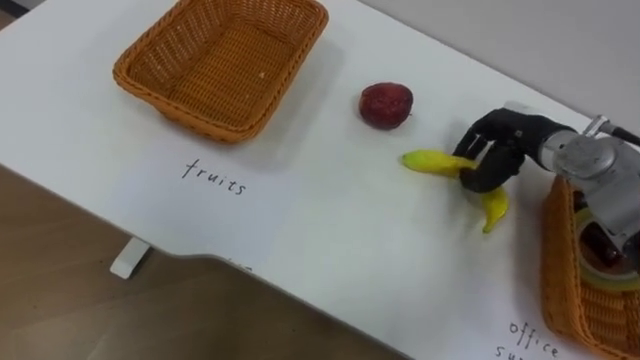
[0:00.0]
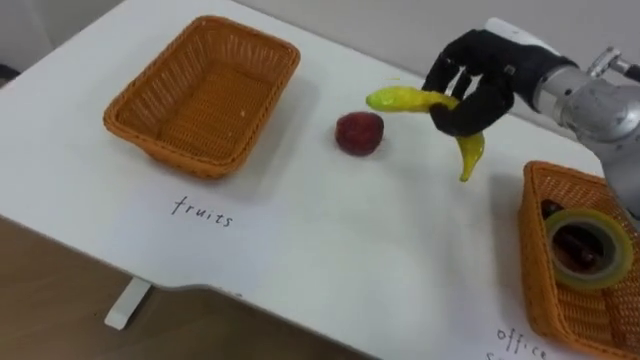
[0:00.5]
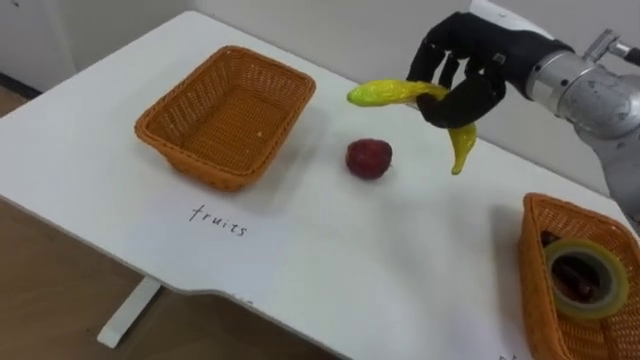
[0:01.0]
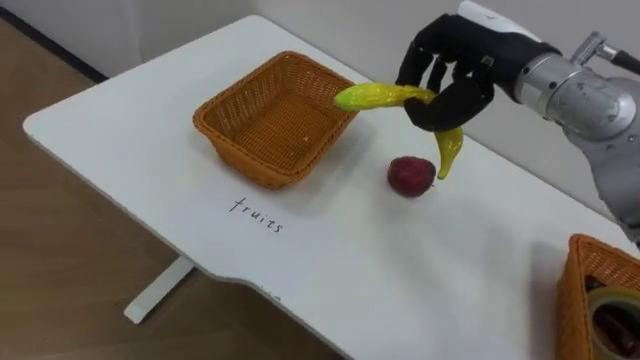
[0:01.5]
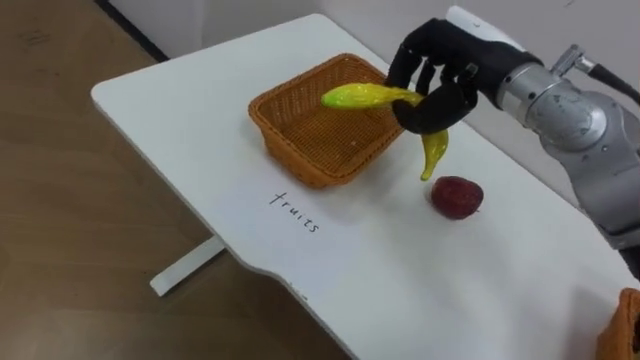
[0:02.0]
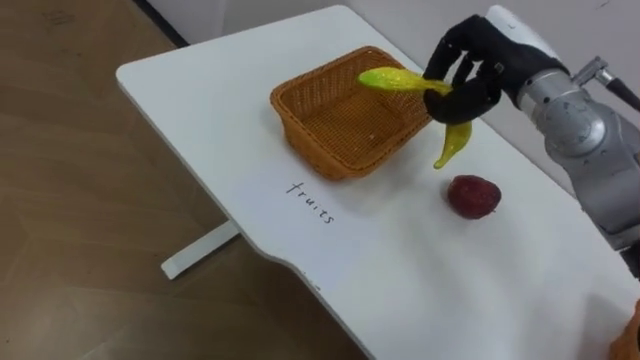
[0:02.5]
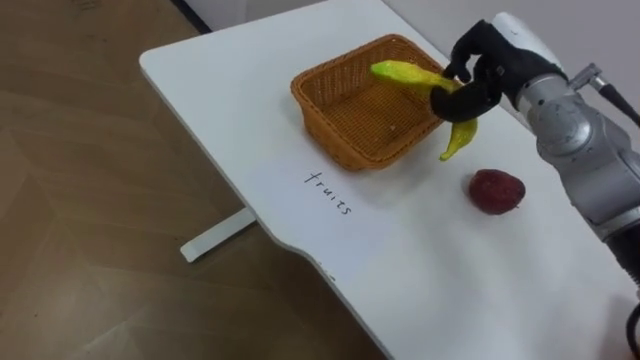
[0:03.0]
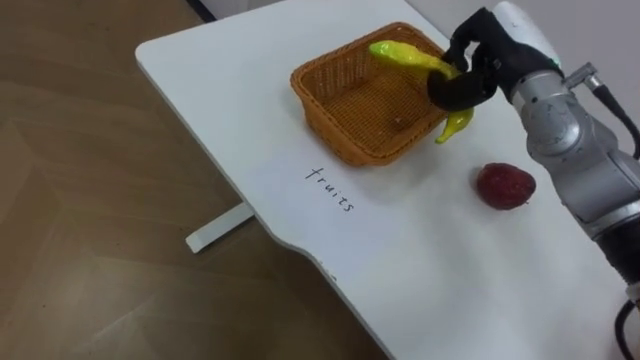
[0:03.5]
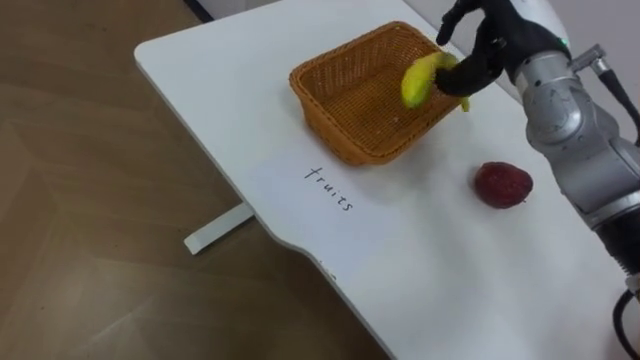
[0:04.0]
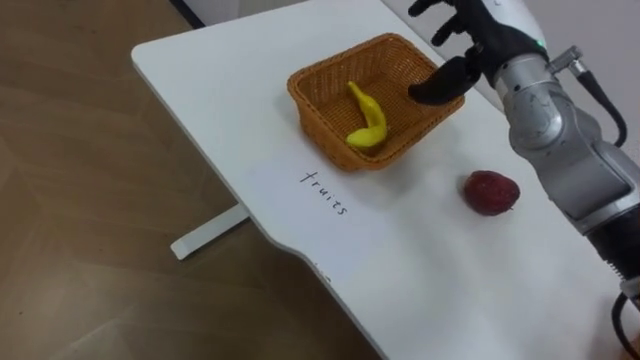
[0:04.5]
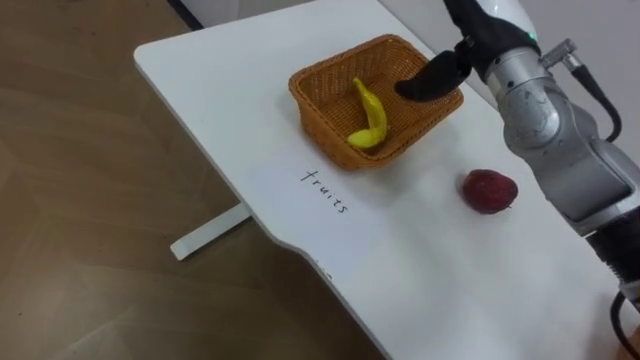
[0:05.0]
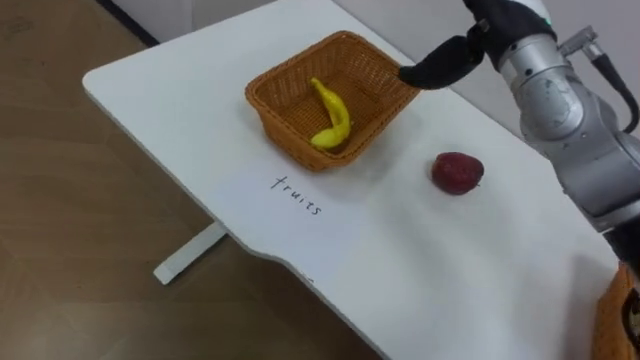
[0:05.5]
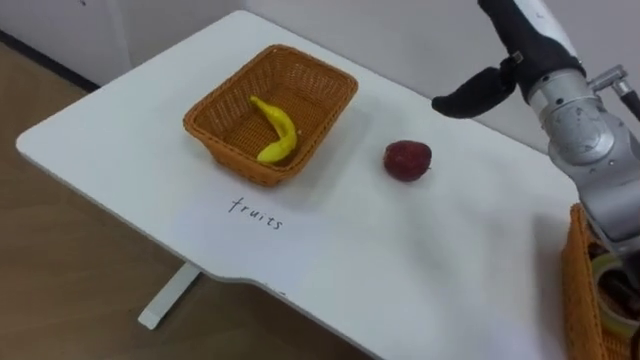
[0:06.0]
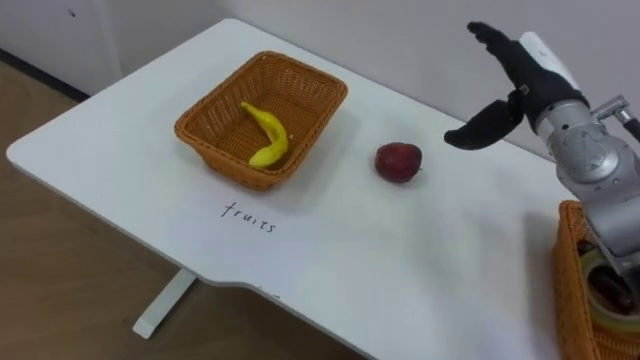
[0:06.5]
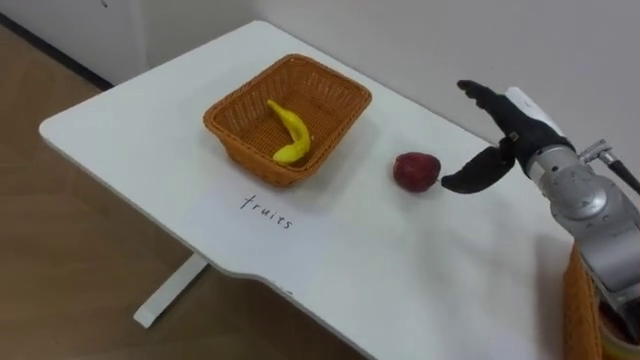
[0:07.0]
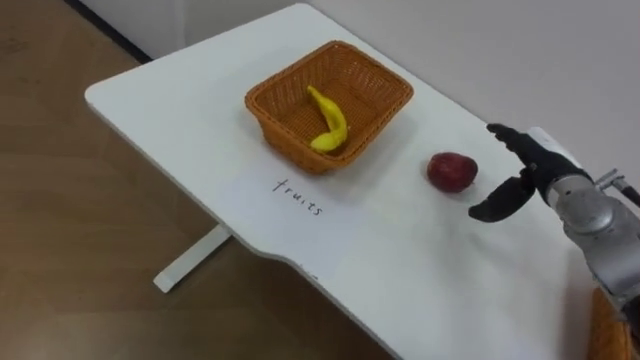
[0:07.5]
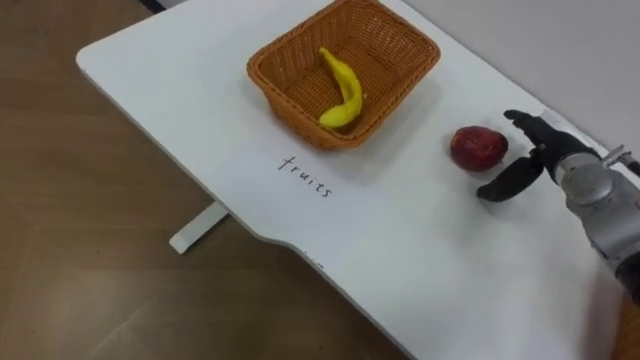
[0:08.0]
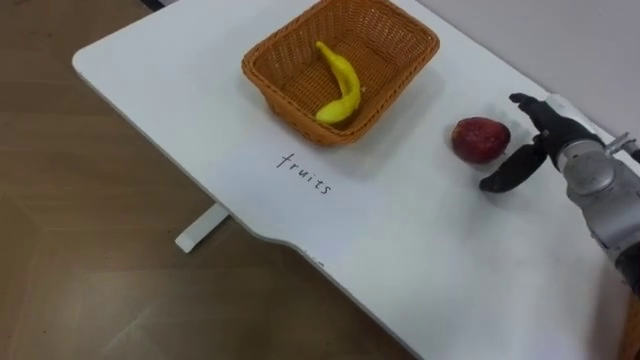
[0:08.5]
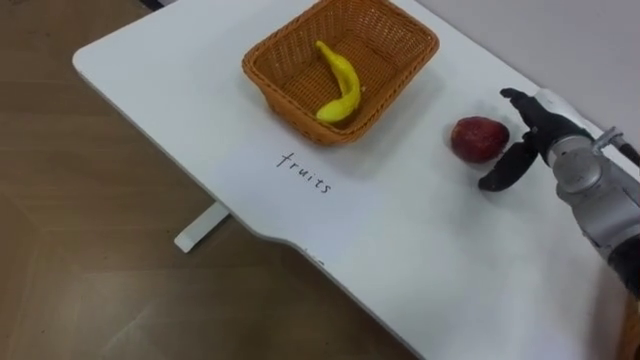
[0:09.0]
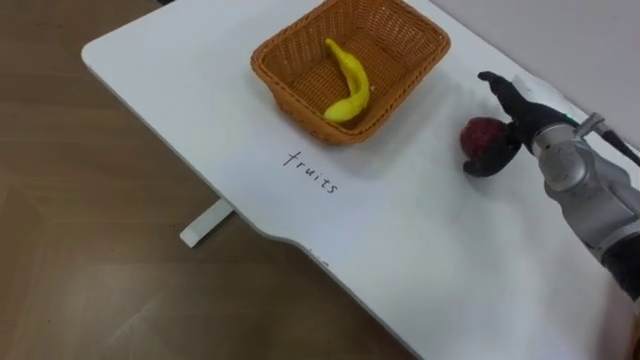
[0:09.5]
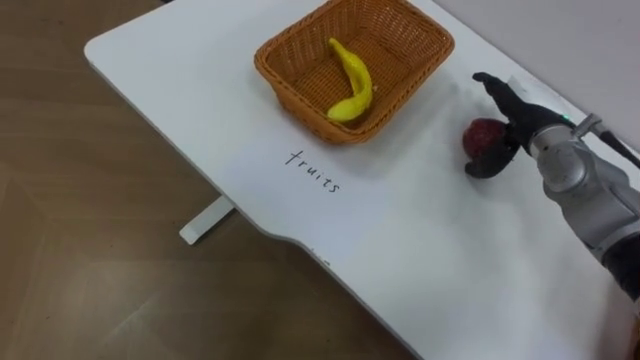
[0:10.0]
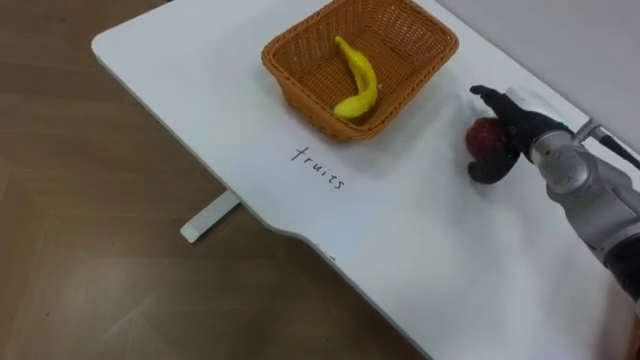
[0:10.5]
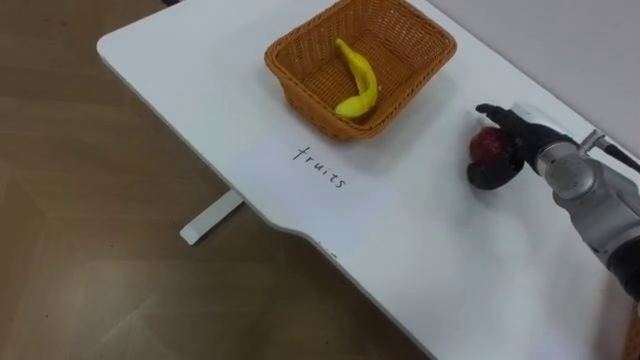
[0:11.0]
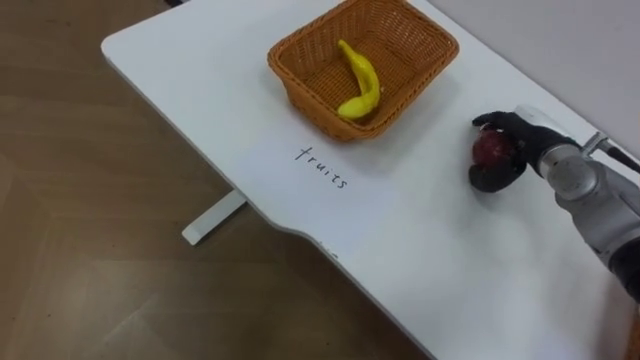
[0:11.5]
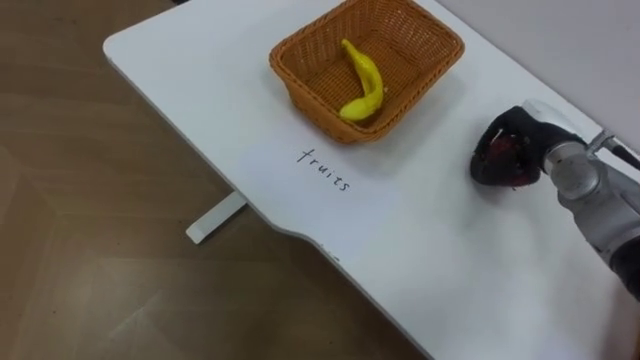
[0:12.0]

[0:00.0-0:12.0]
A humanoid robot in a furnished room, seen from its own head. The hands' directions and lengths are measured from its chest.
Task of the whole recording: Separate the items on the table and place them into the two baskets.
0:00.0 to 0:02.0: The right hand moves upward and to the left, about 15 cm.
0:02.0 to 0:04.0: The right hand changes place by some 5 cm.
0:04.0 to 0:06.0: The right hand opens up.
0:06.0 to 0:08.0: The right hand goes roughly 15 cm downward and to the right.
0:08.0 to 0:10.0: The right hand shifts by roughly 5 cm.
0:10.0 to 0:12.0: The right hand closes.

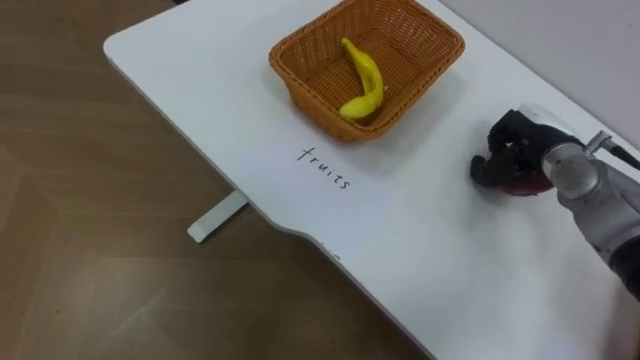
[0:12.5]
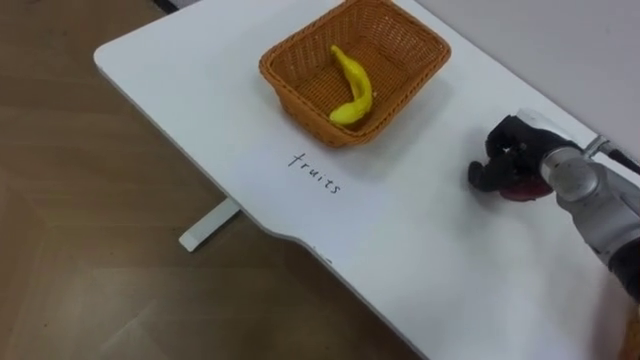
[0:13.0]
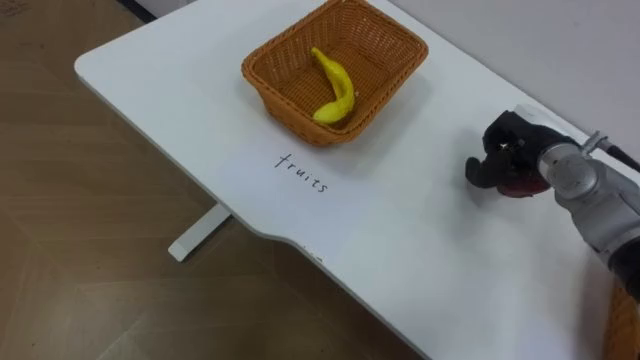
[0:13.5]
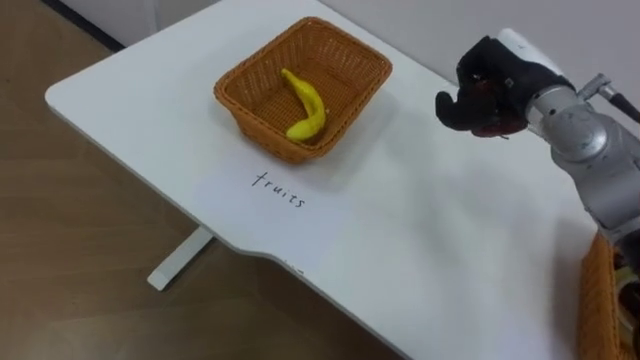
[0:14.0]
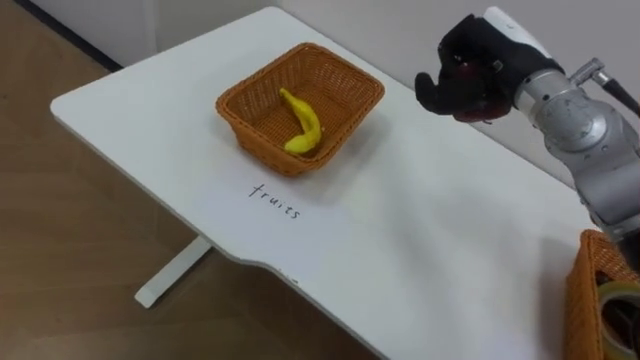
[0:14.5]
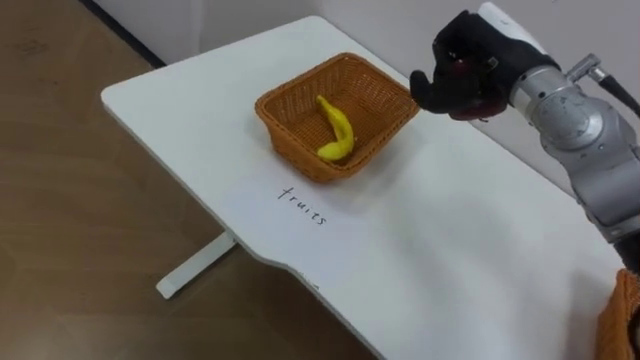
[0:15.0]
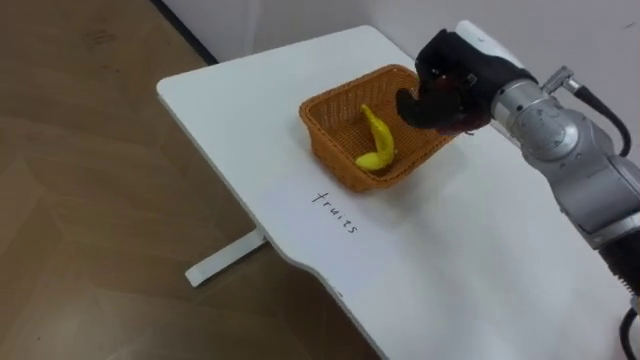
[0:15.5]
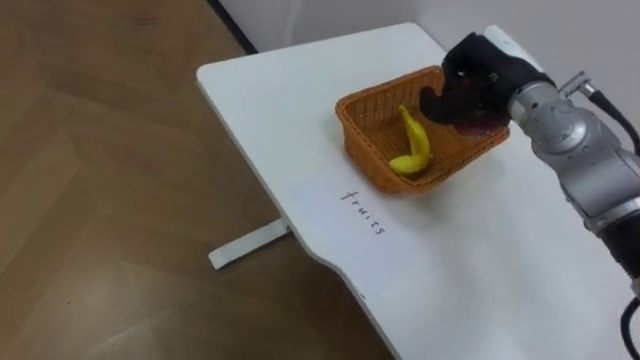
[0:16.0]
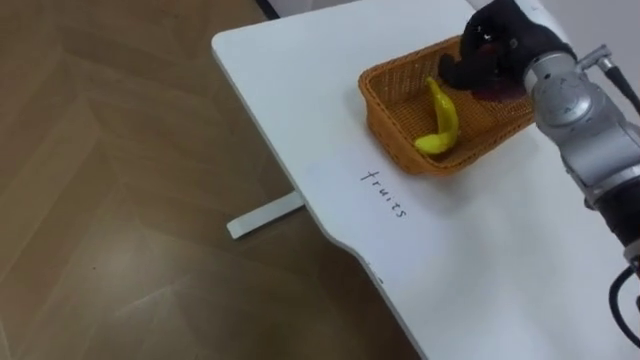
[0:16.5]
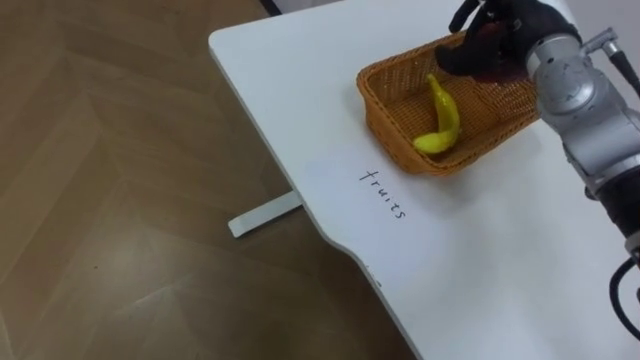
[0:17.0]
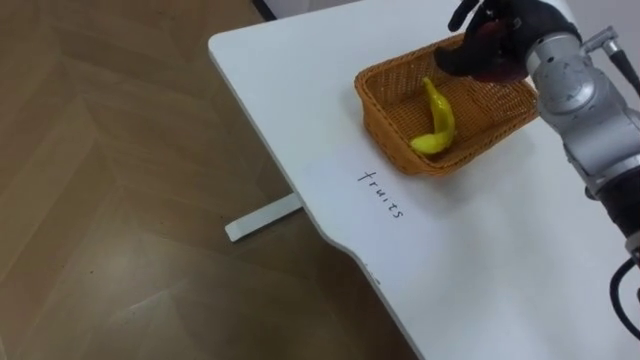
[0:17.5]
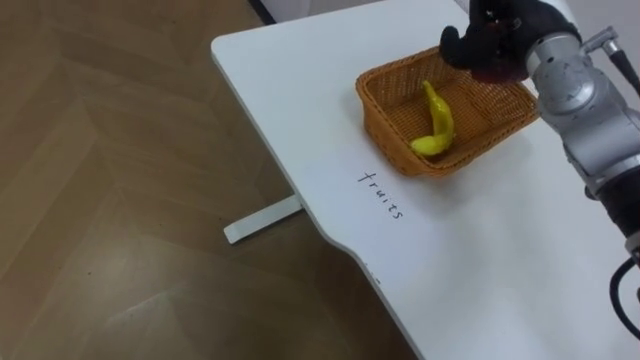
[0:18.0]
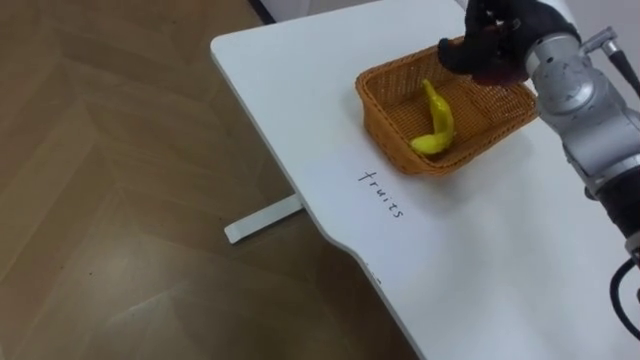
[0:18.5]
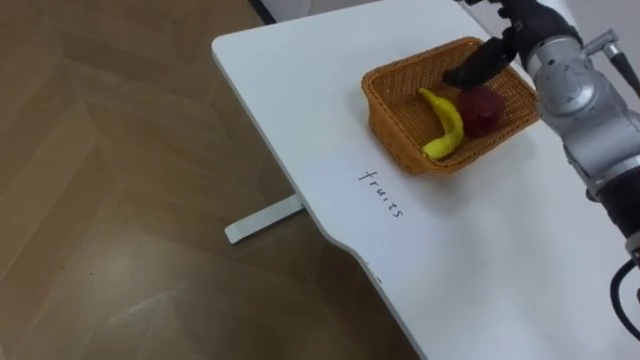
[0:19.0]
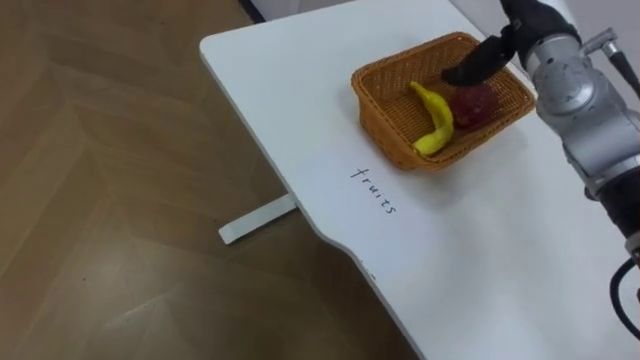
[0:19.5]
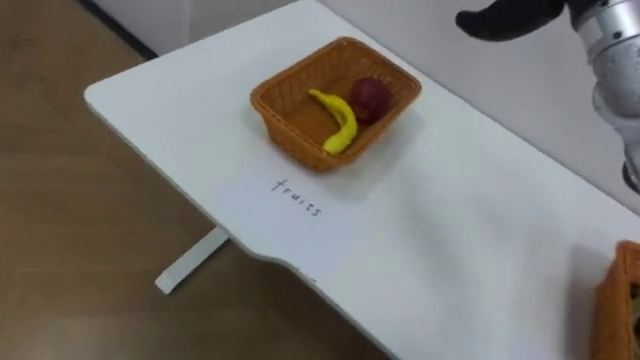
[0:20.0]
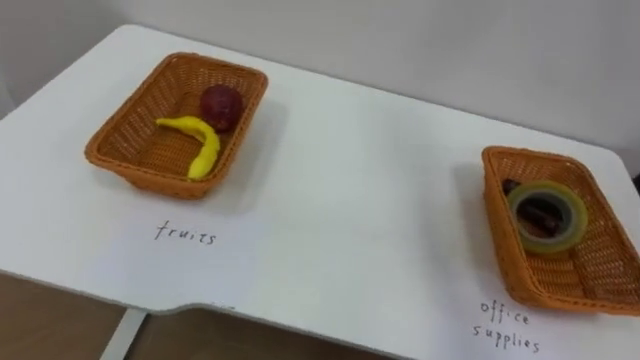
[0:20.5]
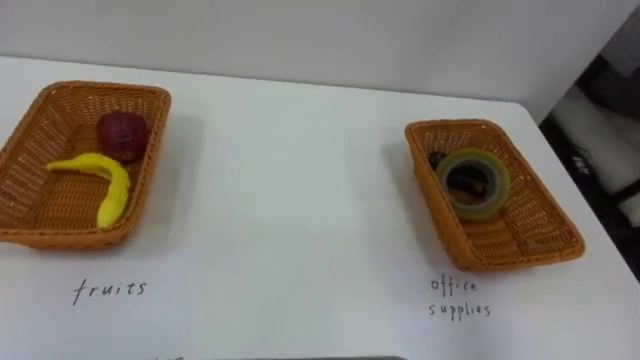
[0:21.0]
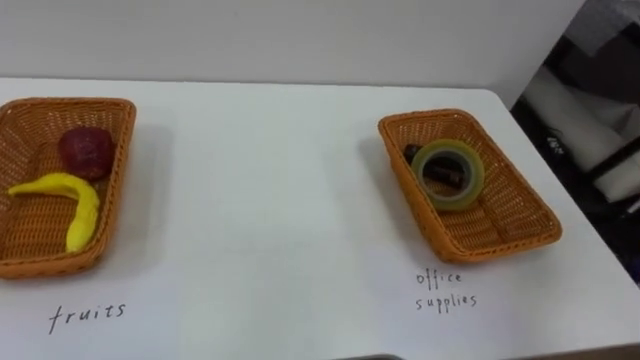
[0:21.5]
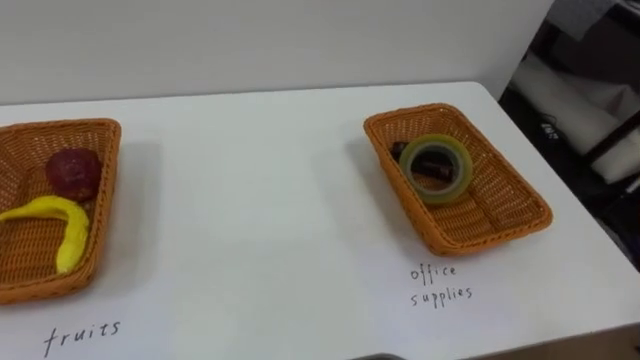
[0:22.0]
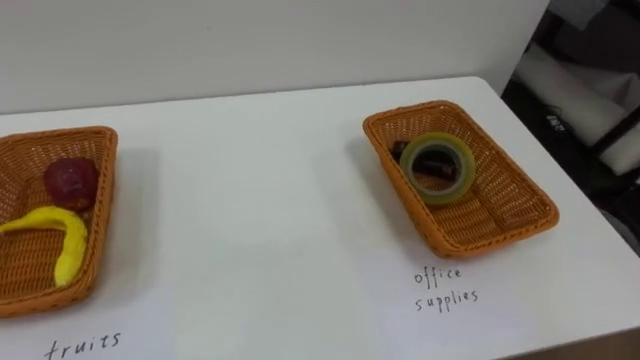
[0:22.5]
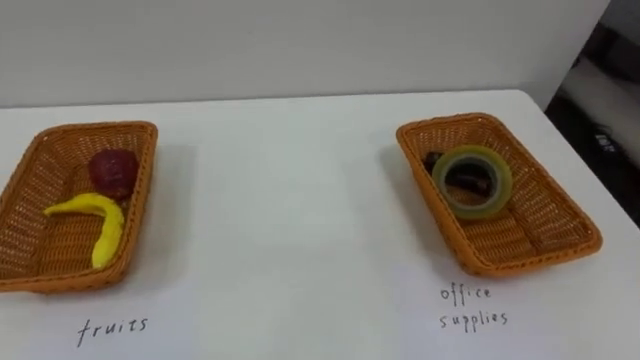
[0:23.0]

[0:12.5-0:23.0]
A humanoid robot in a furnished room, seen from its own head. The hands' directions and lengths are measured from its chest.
Task of the whole recording: Separate the items on the table and place them into the two baskets.
0:12.5 to 0:14.5: The right hand travels upward and to the left by roughly 15 cm.
0:16.5 to 0:19.0: The right hand opens up.
